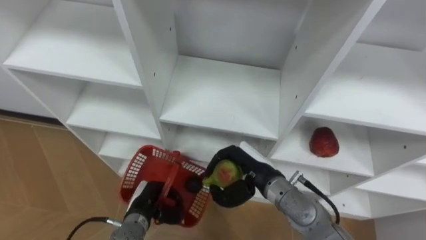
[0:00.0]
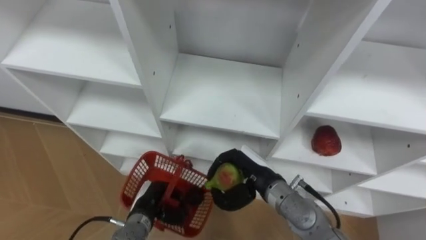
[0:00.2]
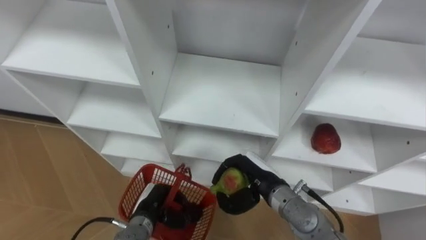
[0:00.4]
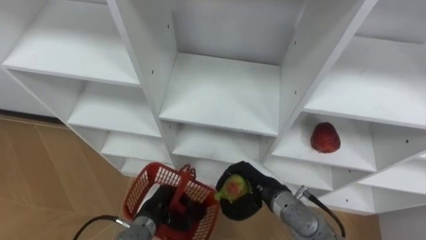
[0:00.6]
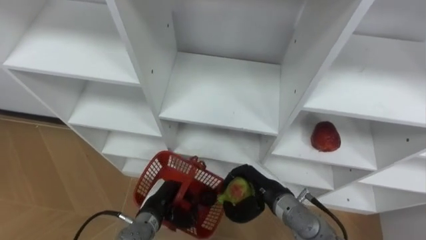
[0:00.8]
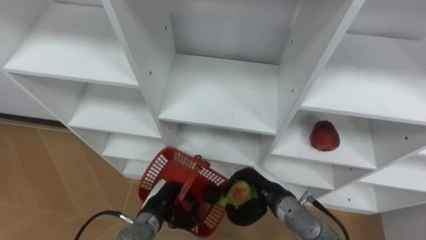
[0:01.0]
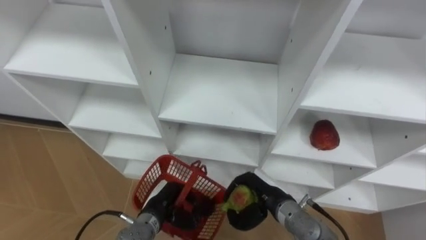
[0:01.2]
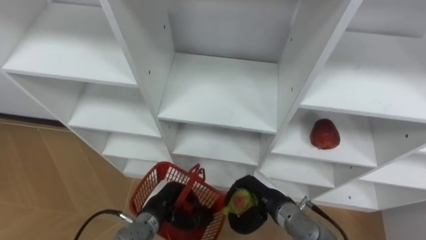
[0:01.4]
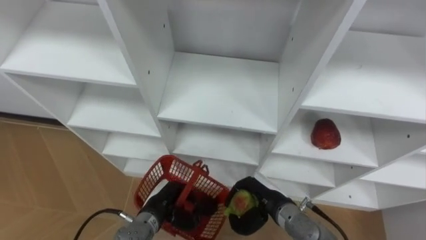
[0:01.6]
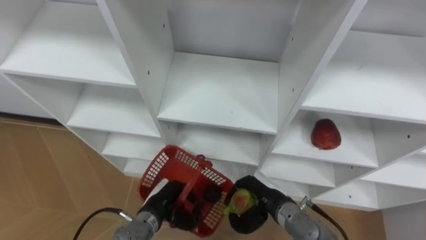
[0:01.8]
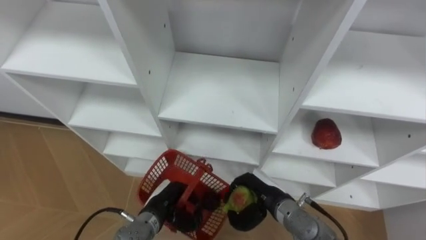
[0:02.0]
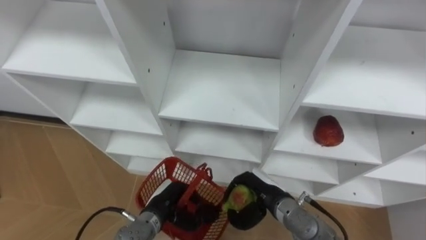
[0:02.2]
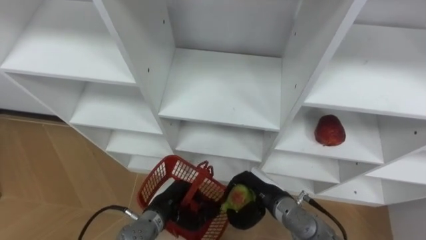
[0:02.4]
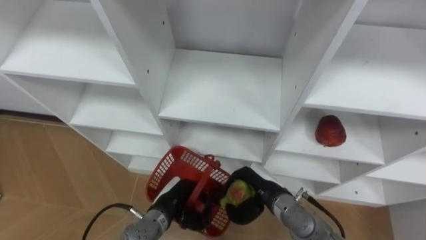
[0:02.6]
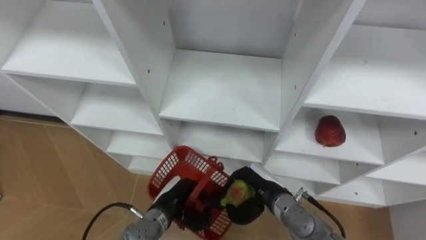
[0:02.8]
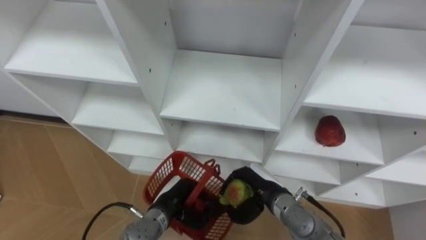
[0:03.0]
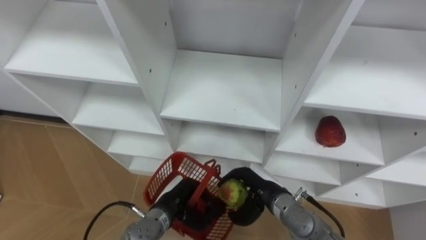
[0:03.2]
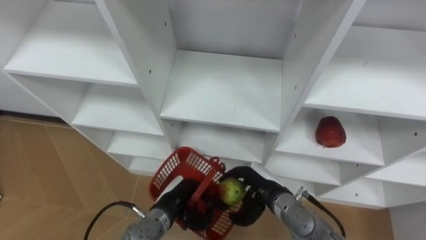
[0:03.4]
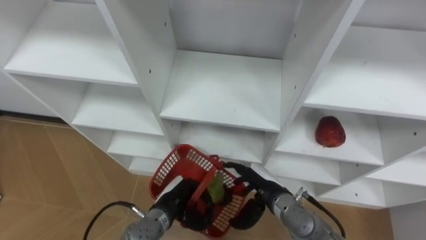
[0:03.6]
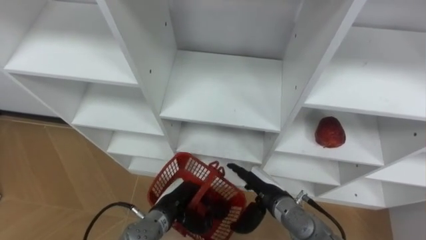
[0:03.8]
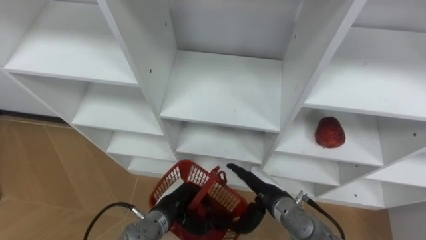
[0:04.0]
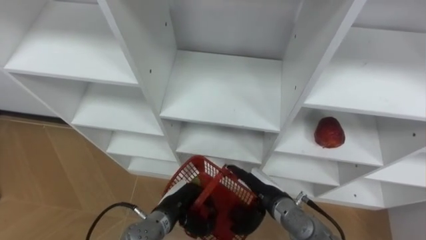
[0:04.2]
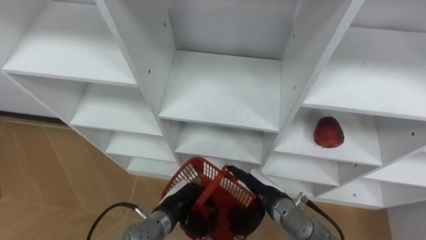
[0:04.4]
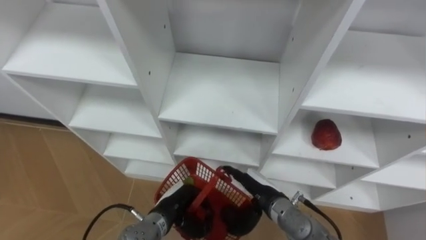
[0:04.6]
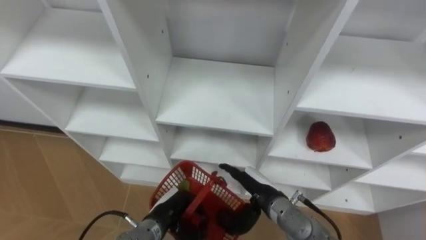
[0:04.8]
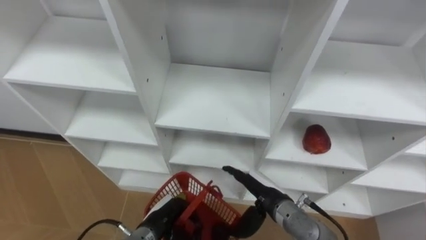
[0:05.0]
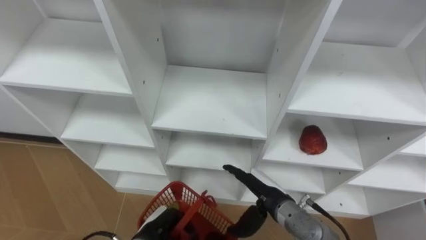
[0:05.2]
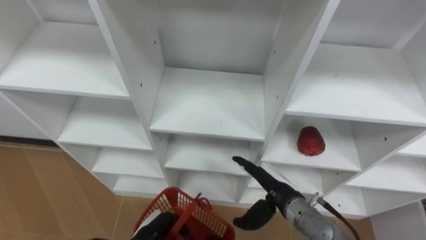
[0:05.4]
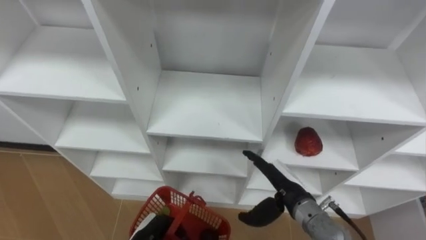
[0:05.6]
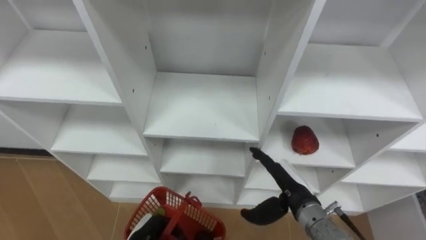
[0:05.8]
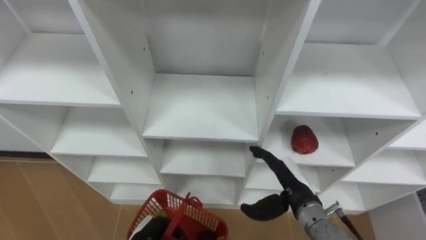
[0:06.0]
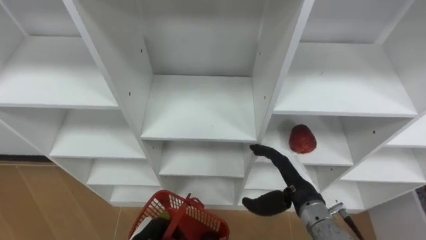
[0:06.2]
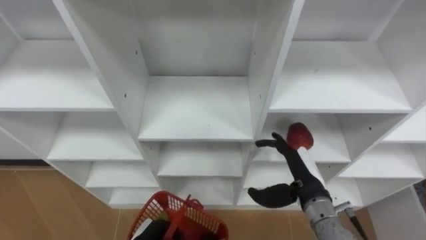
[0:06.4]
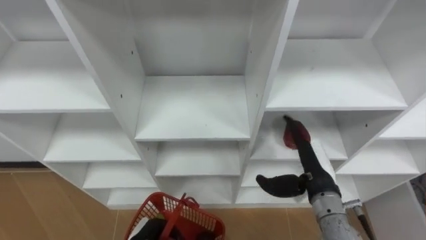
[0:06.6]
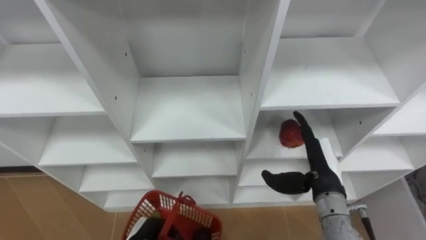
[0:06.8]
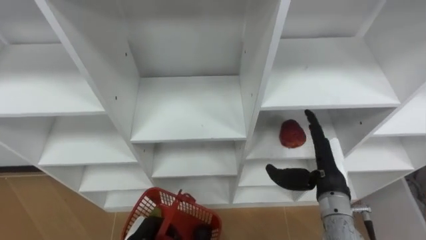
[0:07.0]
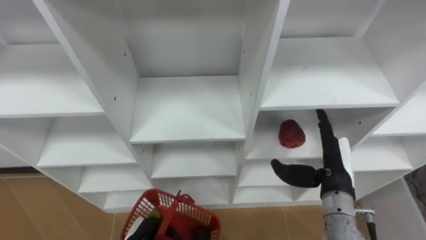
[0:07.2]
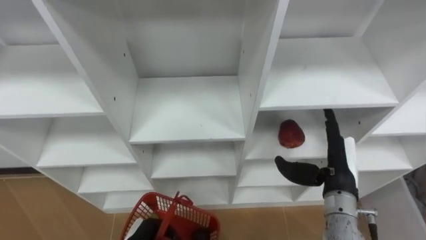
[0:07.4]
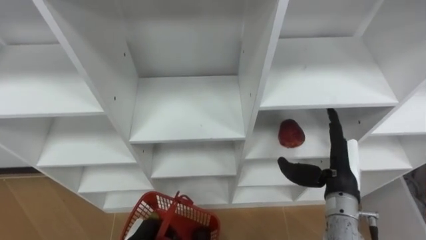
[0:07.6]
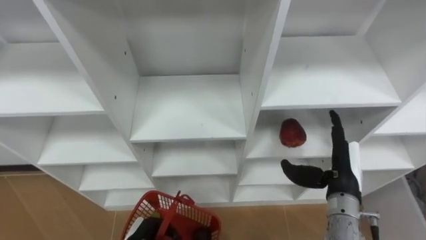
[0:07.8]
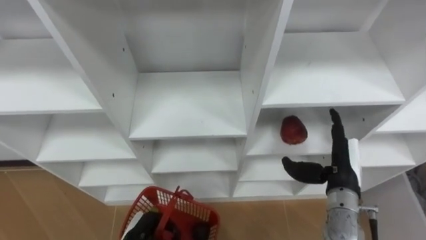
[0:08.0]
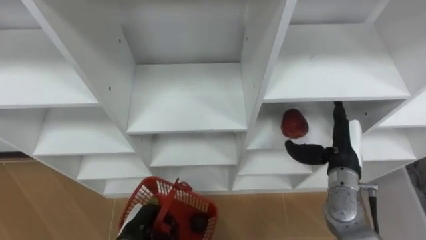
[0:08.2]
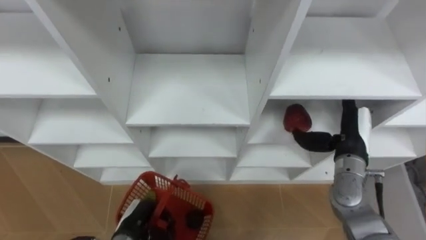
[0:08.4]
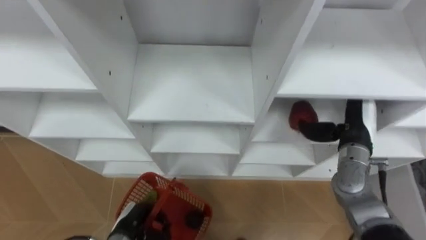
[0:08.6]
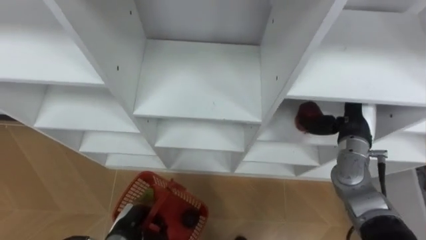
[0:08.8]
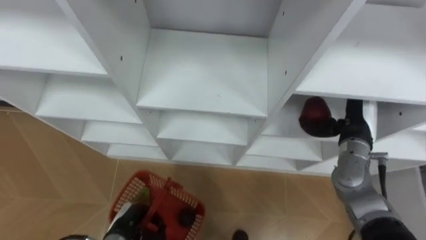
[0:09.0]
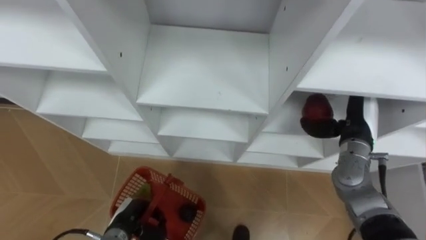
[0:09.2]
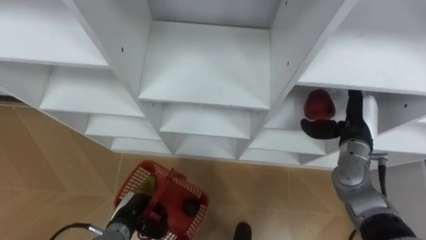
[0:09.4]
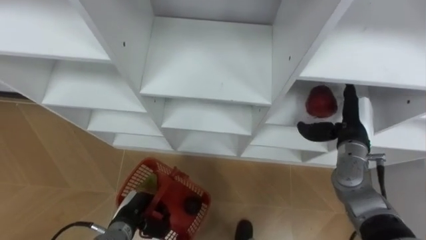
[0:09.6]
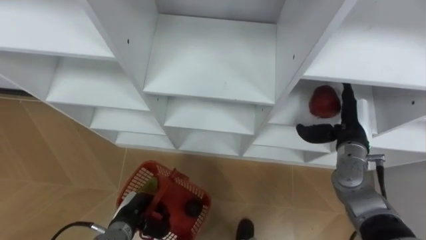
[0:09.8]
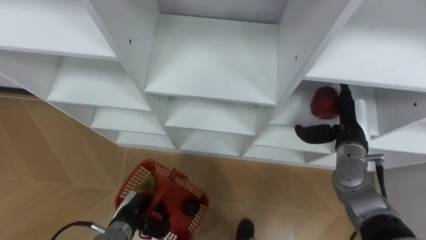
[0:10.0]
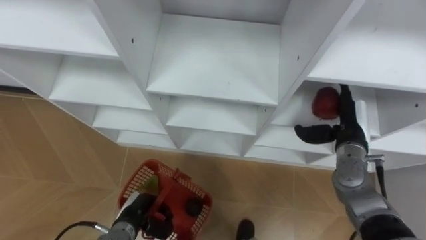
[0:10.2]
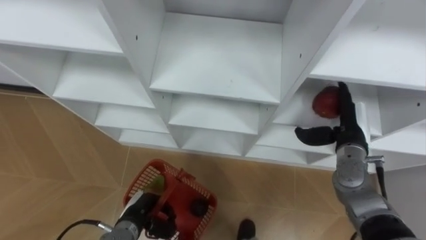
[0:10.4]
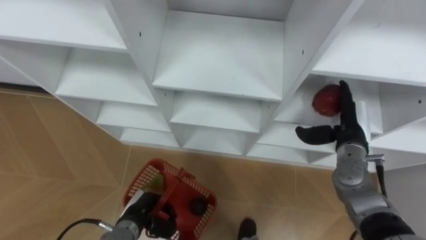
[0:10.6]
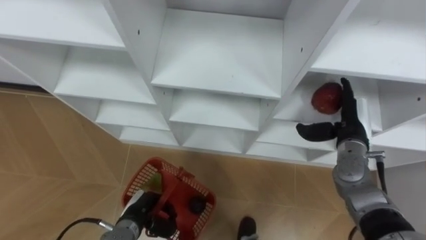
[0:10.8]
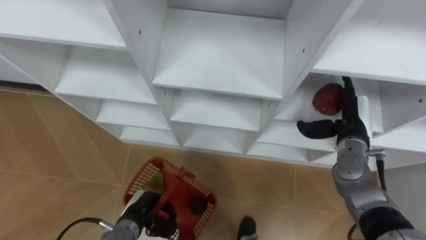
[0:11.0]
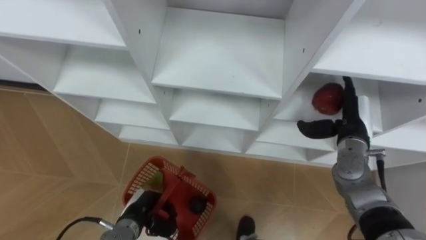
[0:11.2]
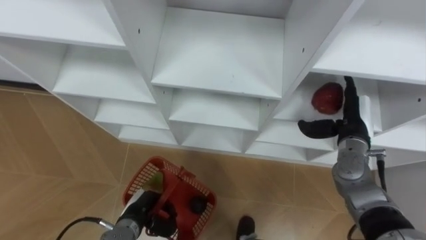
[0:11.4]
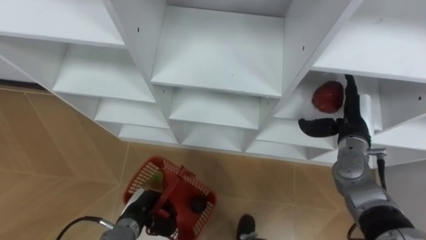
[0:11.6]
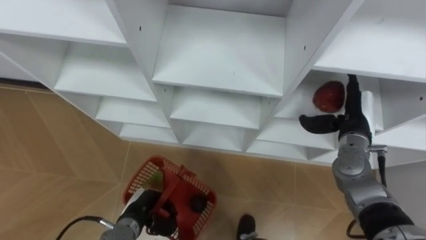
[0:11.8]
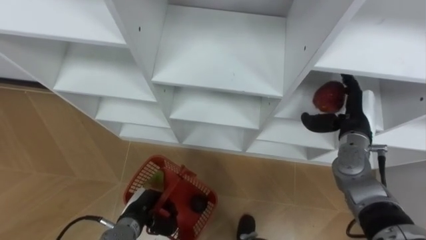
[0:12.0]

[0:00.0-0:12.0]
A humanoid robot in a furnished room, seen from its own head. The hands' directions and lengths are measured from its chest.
Task of the whole recording: Hold the basket and collect the fruits from 3 different cells of the closet into it.
0:00.0 to 0:01.6: The right hand heads downward, covering about 5 cm.
0:01.6 to 0:03.0: The hands make only small movements.
0:03.0 to 0:04.4: The right hand opens up.
0:04.4 to 0:06.0: The left hand moves to the left and backward, some 10 cm; the right hand moves to the right, some 5 cm.
0:06.0 to 0:07.6: The right hand shifts approximately 10 cm to the right.
0:07.6 to 0:09.0: The right hand goes approximately 10 cm forward.

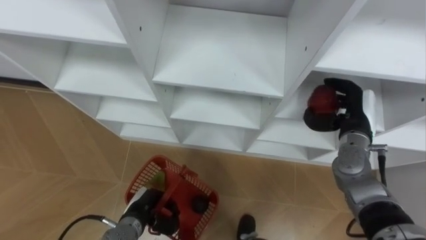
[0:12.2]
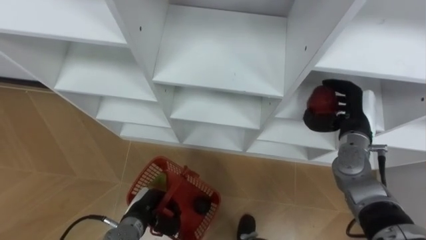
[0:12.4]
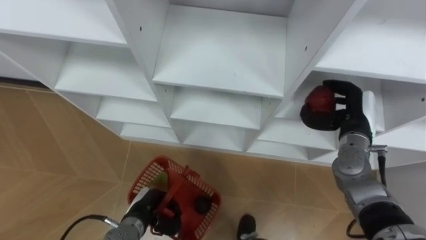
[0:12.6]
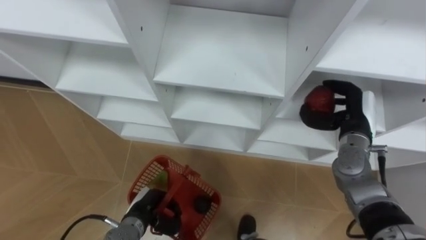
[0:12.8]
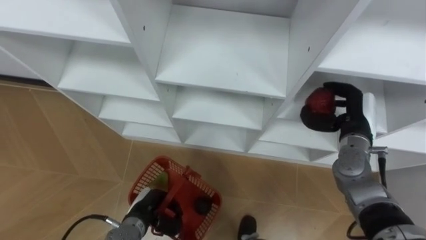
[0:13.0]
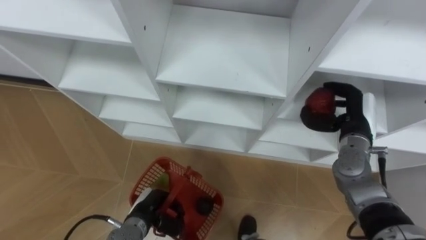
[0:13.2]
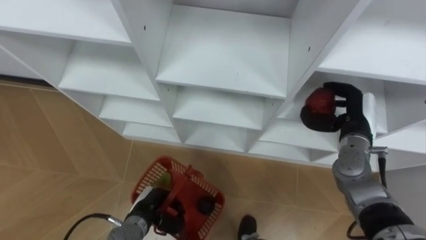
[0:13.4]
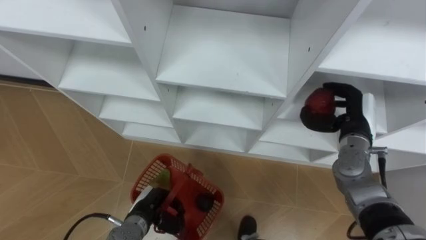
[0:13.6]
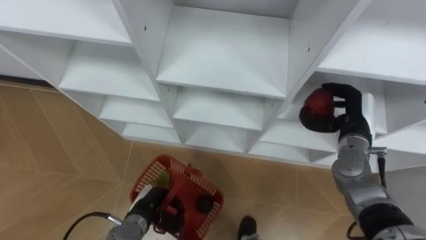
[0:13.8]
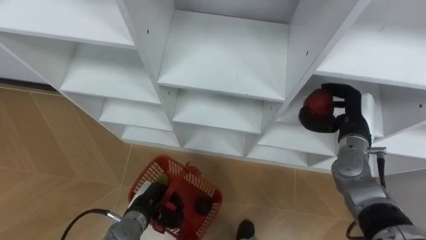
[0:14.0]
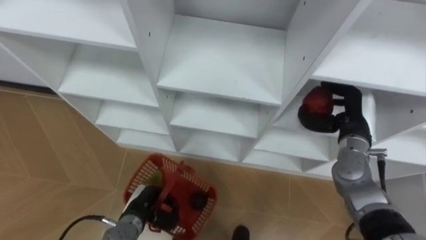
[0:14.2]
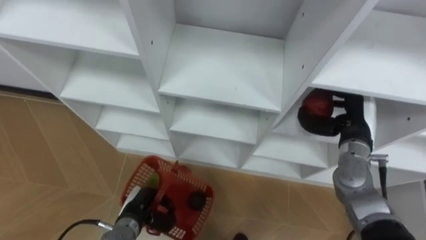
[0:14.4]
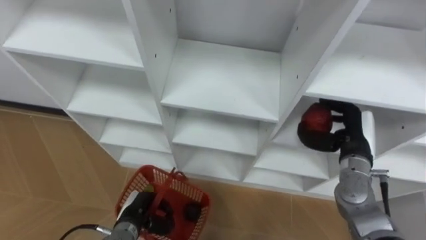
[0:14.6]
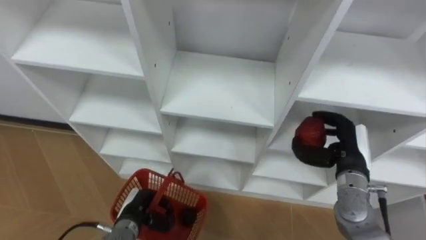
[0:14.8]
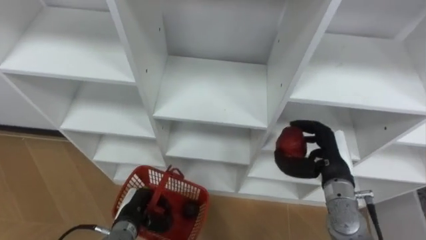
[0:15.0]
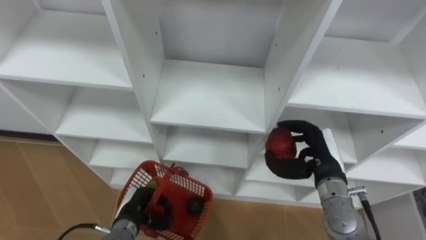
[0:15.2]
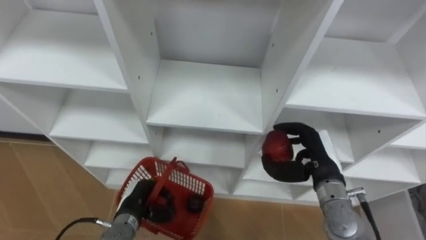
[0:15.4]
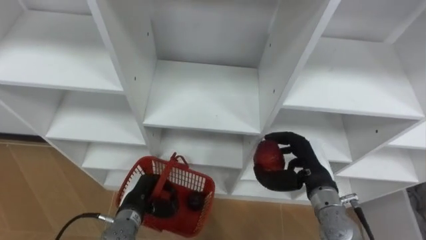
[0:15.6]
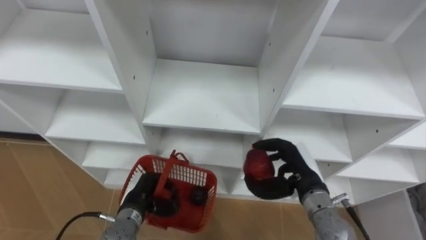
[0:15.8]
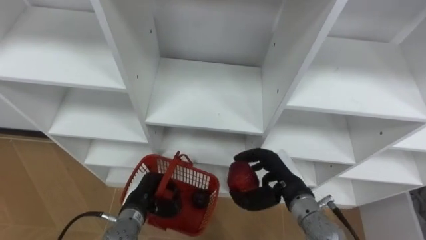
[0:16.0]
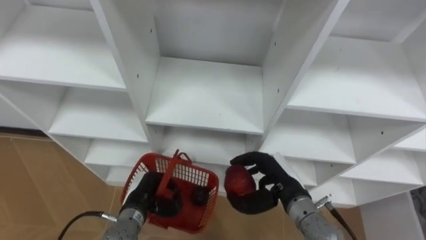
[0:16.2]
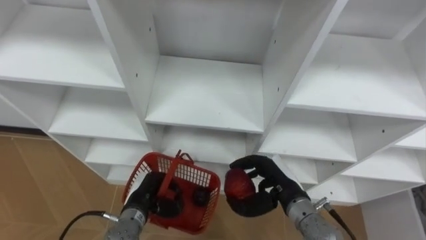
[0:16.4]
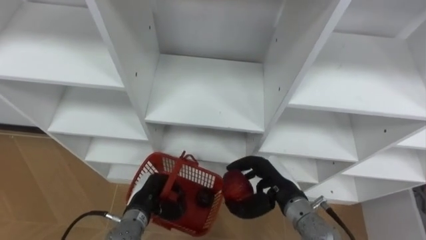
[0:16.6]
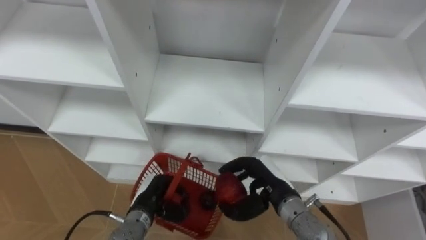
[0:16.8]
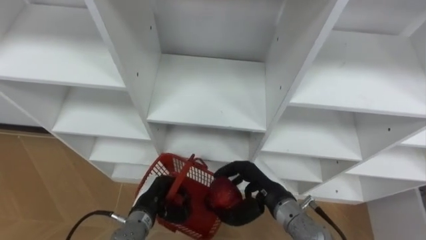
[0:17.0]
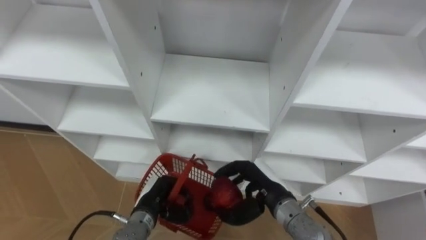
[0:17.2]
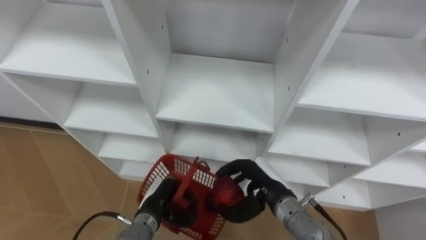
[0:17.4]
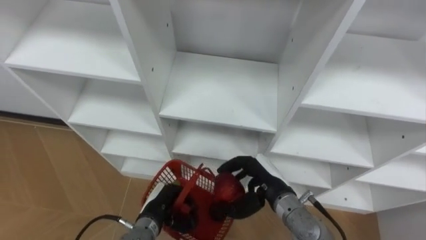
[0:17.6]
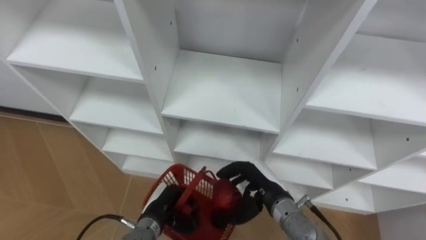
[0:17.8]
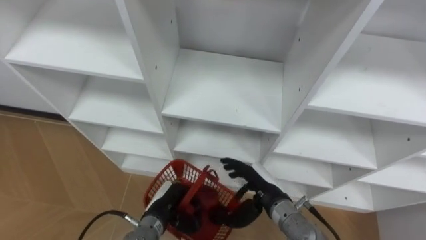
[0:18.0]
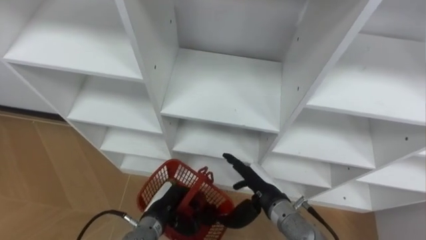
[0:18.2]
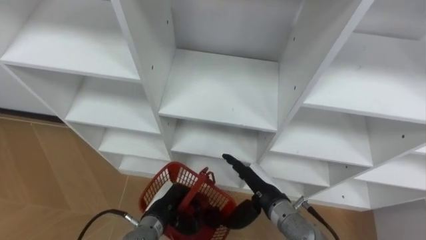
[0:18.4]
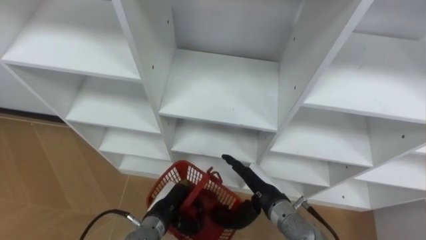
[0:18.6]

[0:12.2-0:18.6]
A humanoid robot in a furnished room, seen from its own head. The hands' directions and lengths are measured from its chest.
Task of the whole recording: Hold the basket and collect the fruits from 3 different cells of the closet into it.
0:13.8 to 0:15.4: The right hand shifts about 10 cm backward and to the left.
0:15.4 to 0:17.0: The right hand is displaced to the left by some 10 cm.
0:17.0 to 0:18.6: The right hand opens its fingers.
